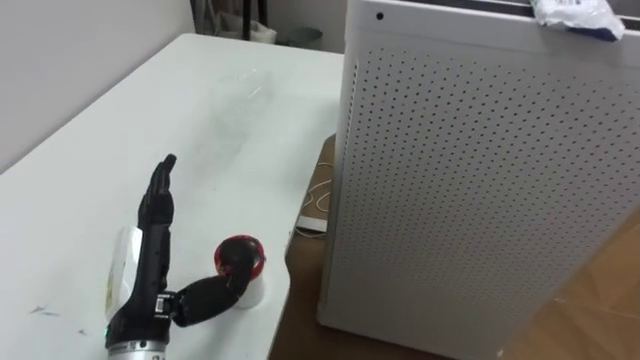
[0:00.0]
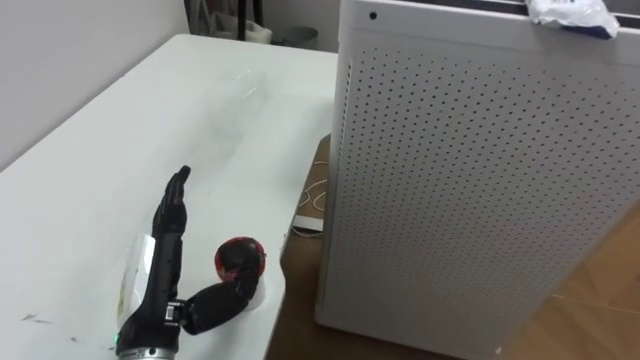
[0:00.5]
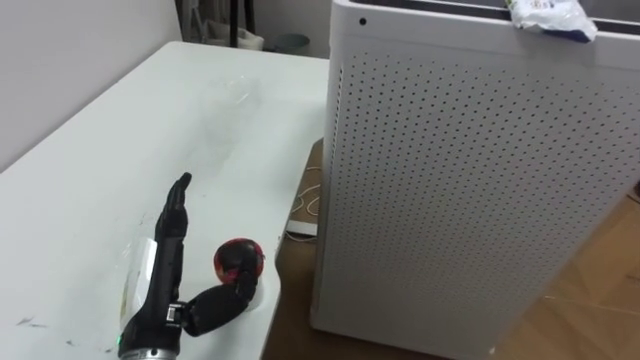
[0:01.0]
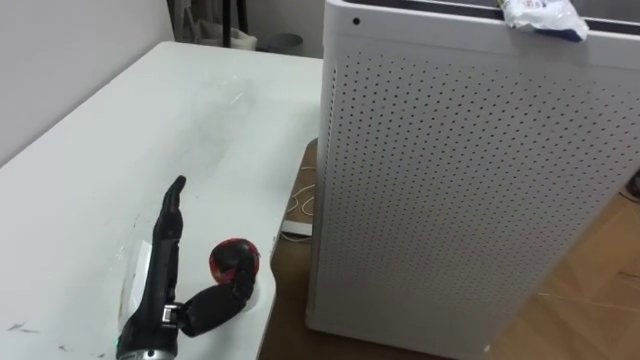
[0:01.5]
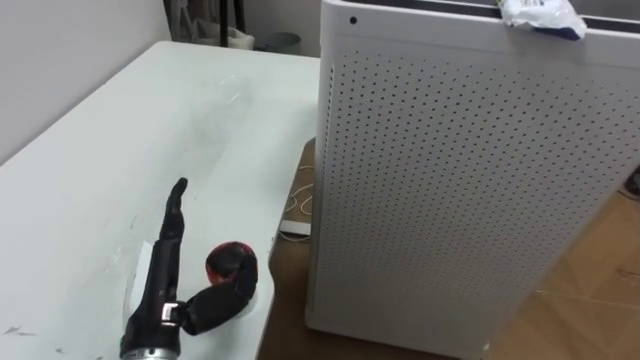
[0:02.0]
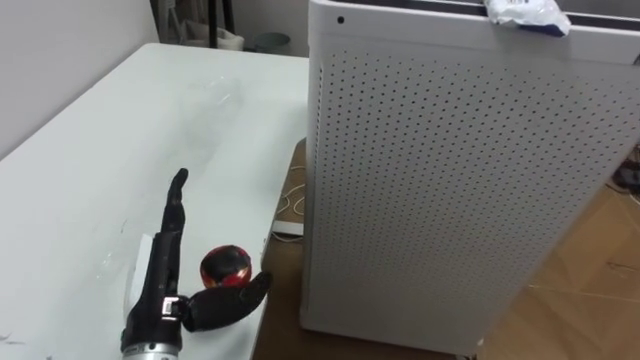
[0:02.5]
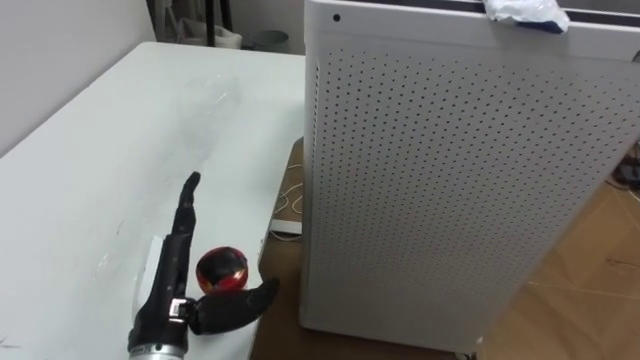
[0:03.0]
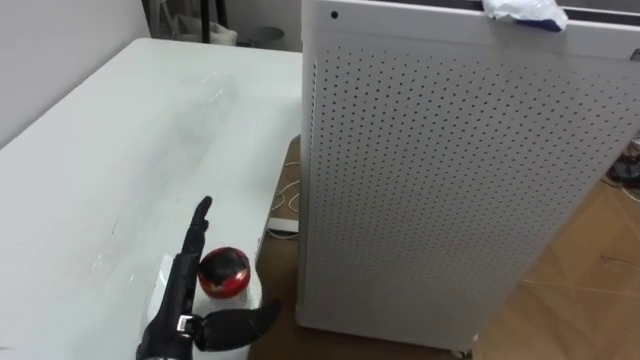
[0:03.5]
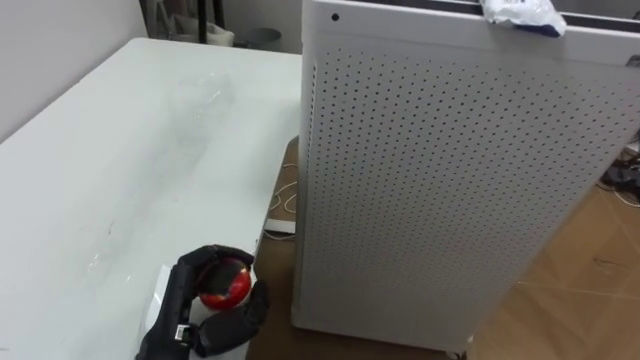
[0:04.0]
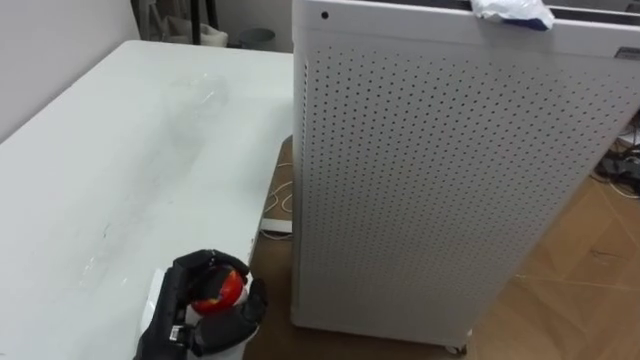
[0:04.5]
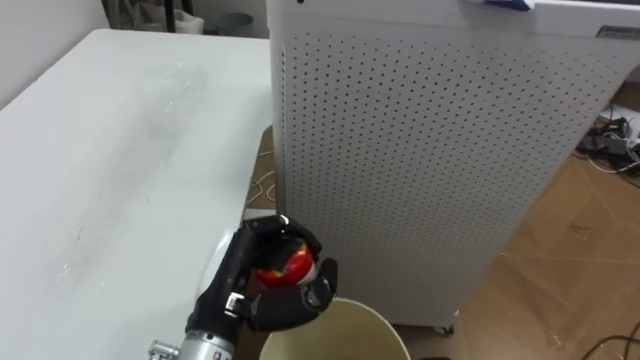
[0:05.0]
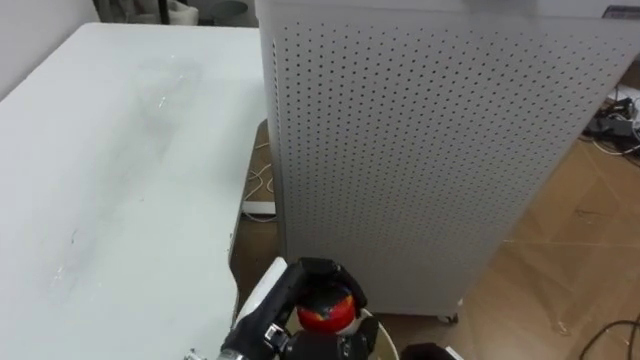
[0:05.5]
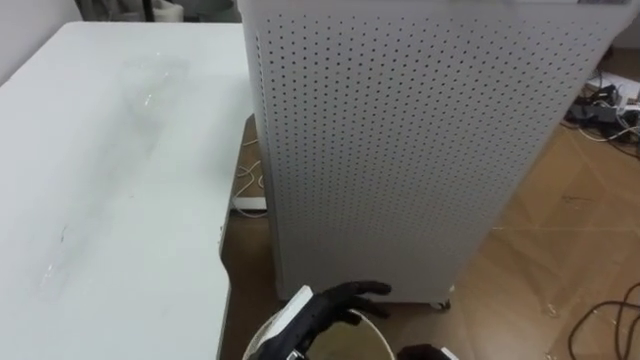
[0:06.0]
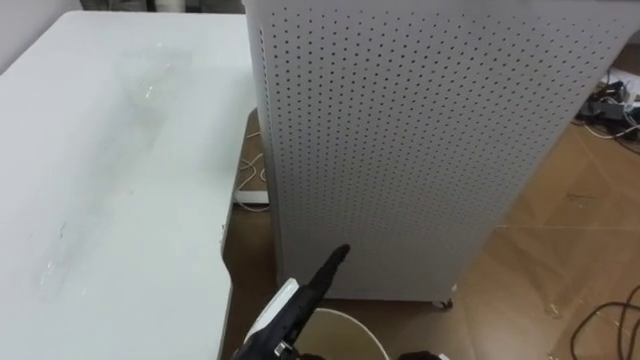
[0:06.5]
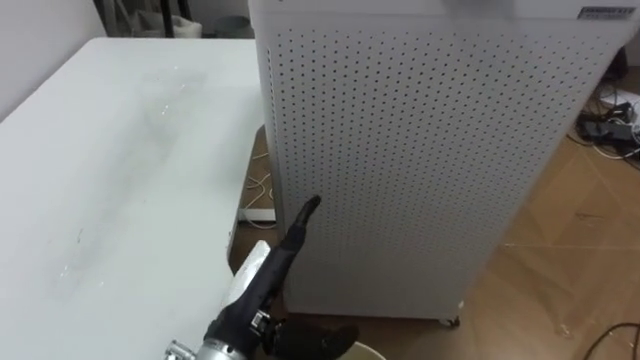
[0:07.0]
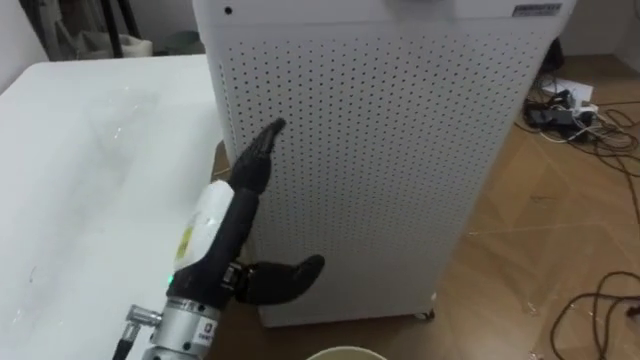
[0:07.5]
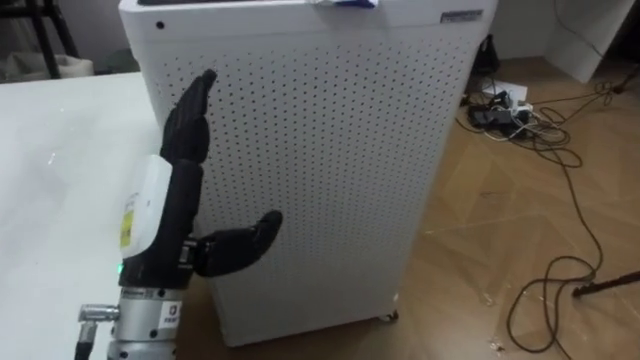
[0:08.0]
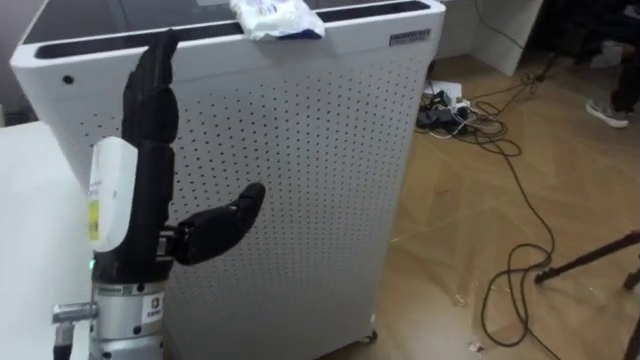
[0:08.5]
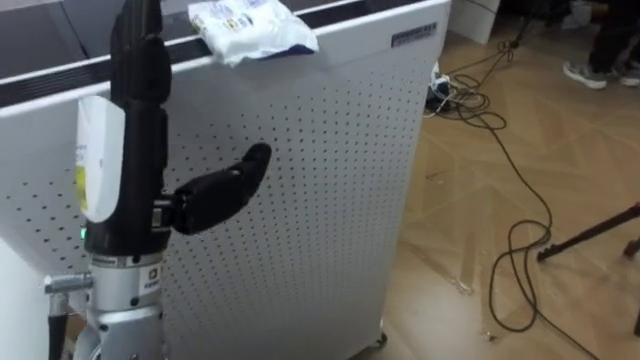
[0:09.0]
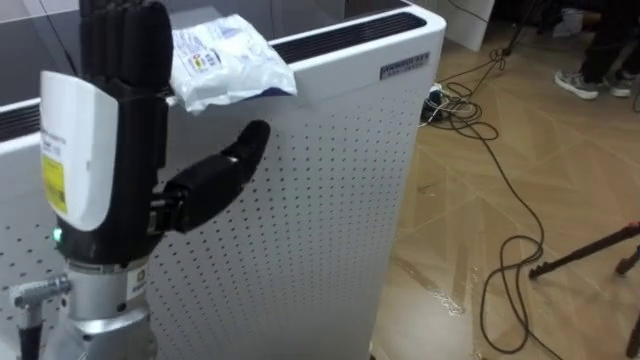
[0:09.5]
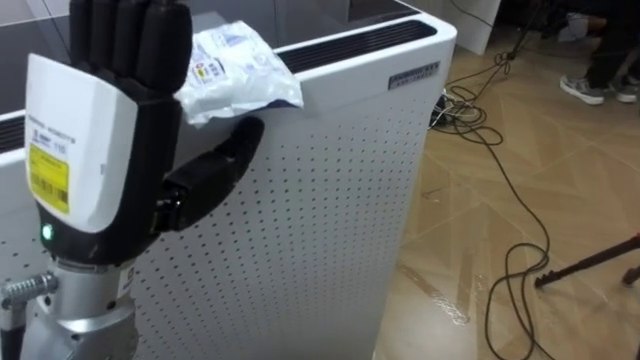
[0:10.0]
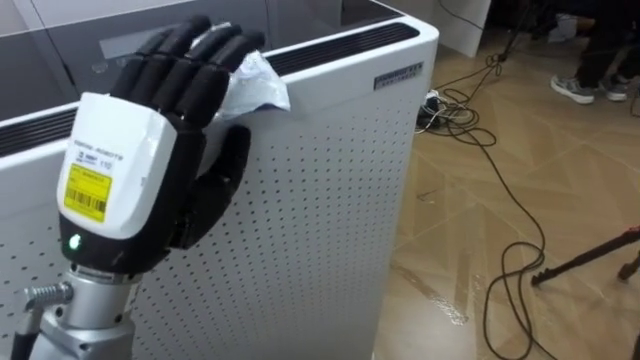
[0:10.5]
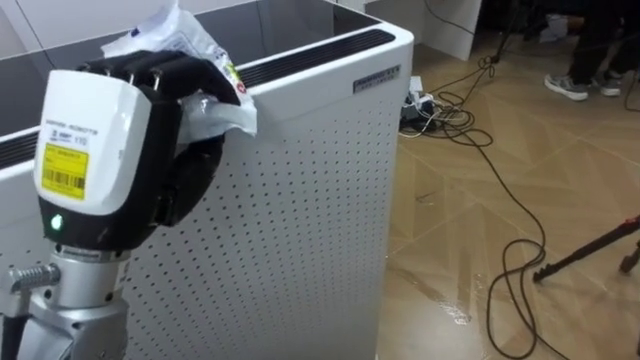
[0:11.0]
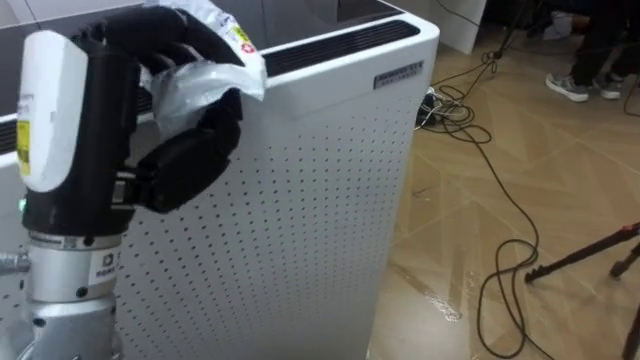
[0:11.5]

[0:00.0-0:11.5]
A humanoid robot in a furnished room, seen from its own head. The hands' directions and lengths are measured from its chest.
Task of the whole recording: Pick up the light blue package, the candy box, and the dark blue package separately, and put them into the trash can held in your right hand.
0:02.0 to 0:04.0: The left hand closes its fingers.
0:04.0 to 0:06.0: The left hand goes about 15 cm to the right.
0:06.0 to 0:07.5: The left hand goes about 15 cm upward and to the left.
0:07.5 to 0:09.5: The robot turns to its right by about 30 degrees. The left hand goes roughly 15 cm upward.
0:09.5 to 0:11.5: The left hand closes.

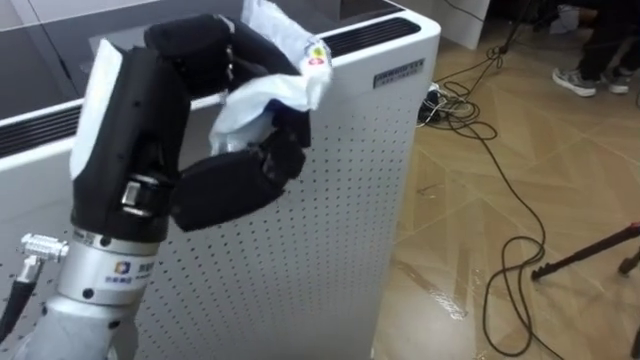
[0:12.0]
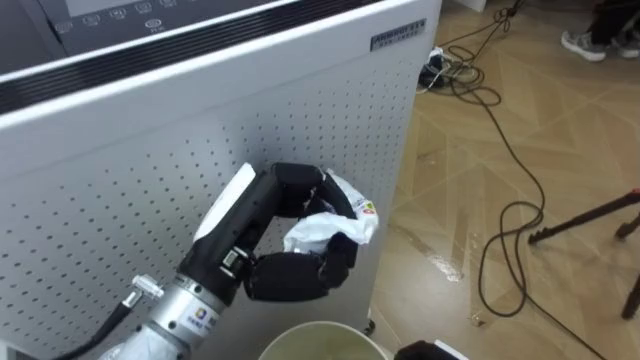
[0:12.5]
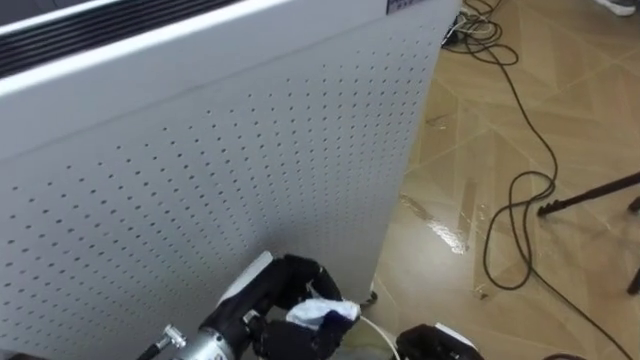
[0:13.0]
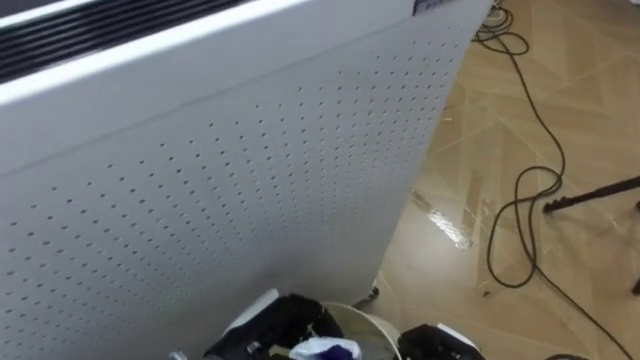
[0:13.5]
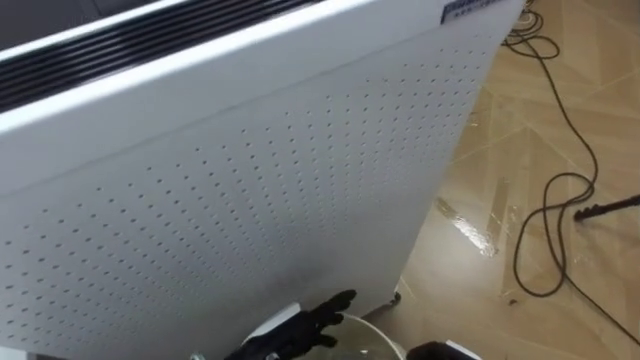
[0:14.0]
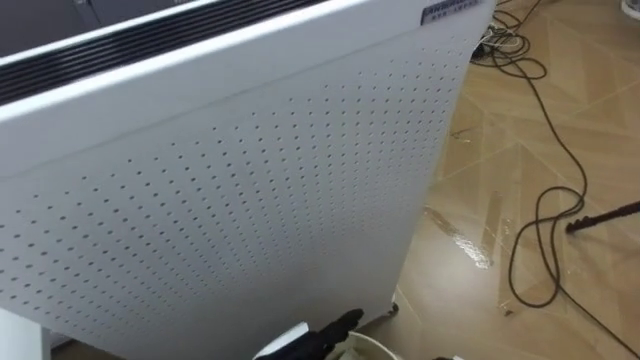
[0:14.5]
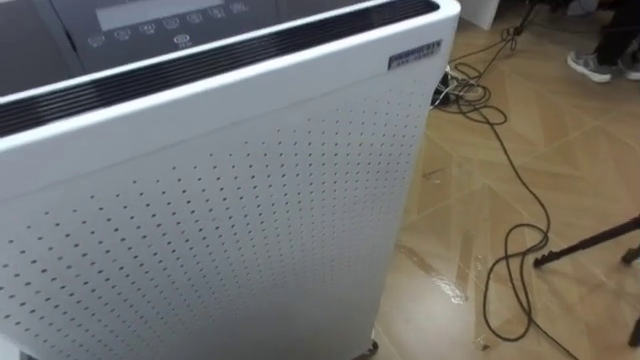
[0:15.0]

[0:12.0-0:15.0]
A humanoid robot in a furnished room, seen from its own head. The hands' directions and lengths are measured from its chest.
Task of the whole recording: Pick up the light blue package, the candy box, and the dark blue package separately, and put them into the trash can held in your right hand.
0:12.0 to 0:13.5: The left hand heads downward, covering approximately 30 cm.

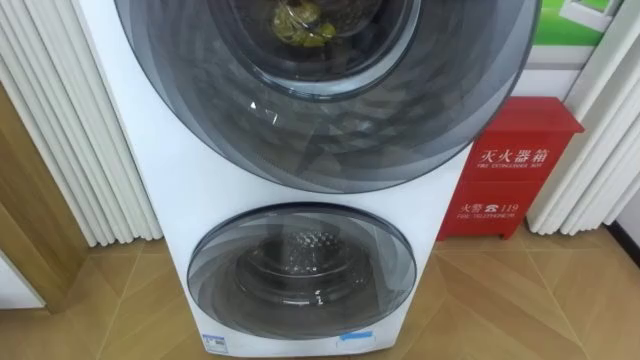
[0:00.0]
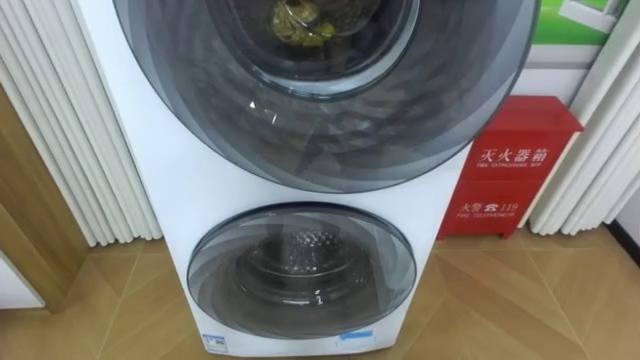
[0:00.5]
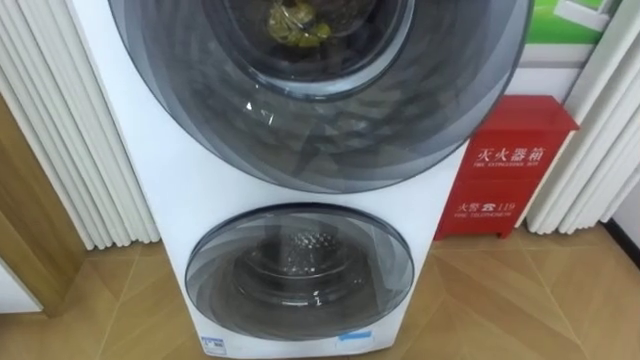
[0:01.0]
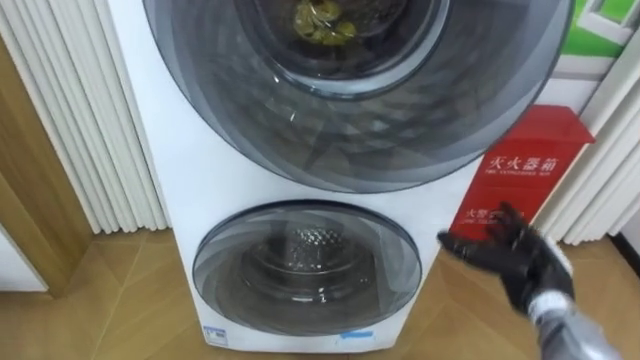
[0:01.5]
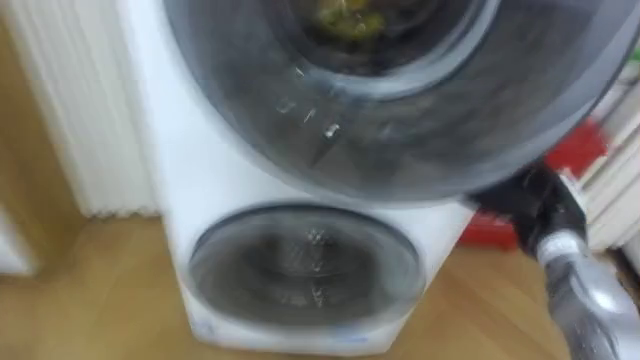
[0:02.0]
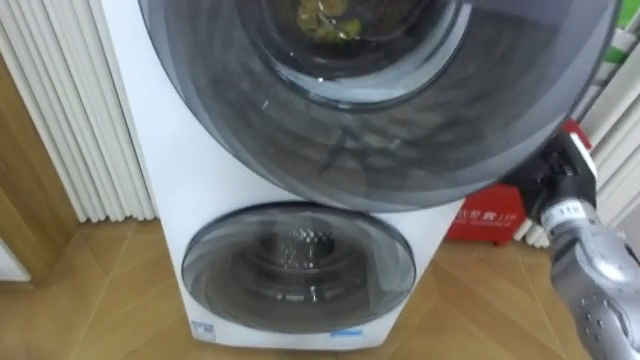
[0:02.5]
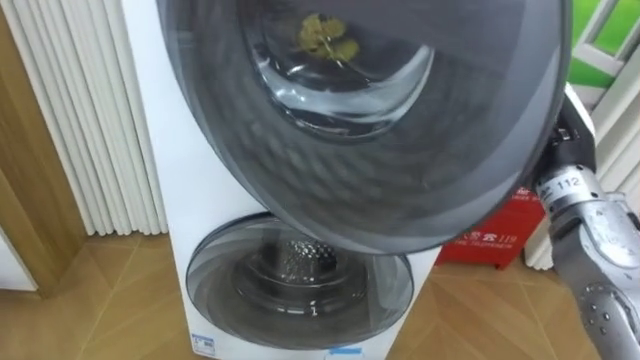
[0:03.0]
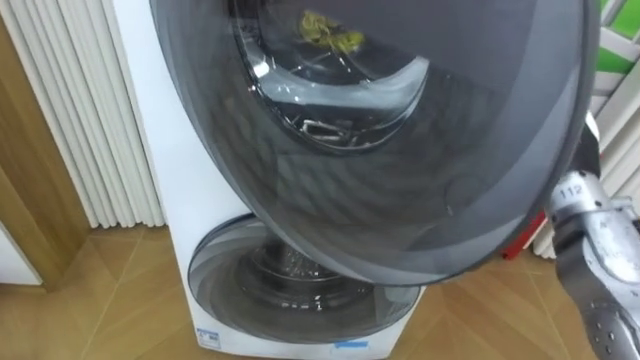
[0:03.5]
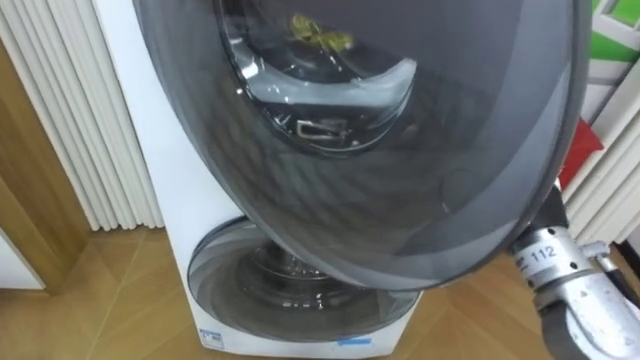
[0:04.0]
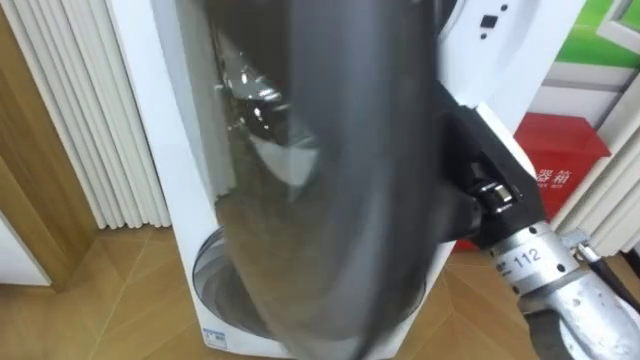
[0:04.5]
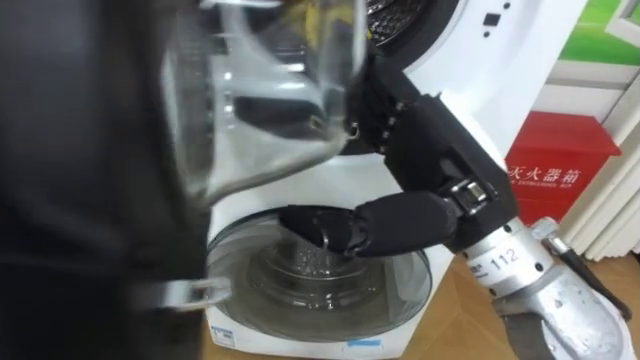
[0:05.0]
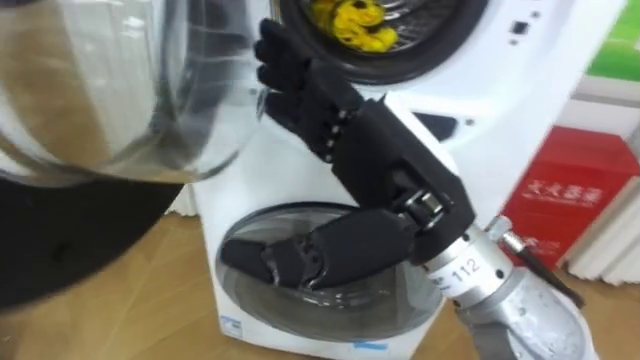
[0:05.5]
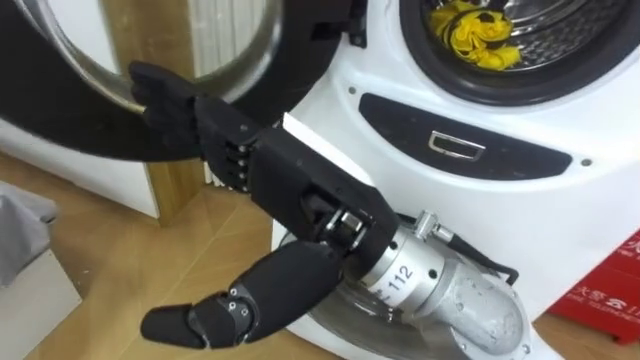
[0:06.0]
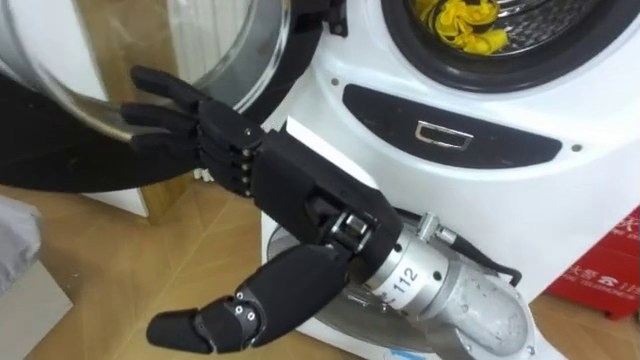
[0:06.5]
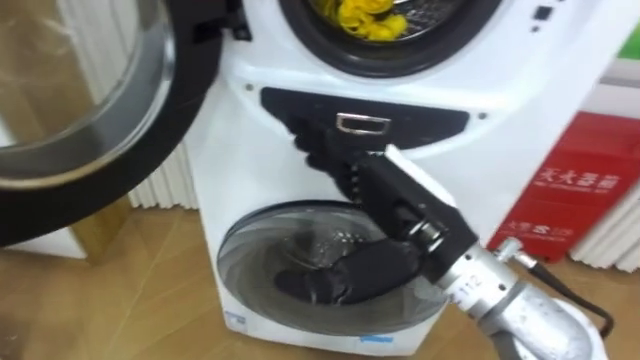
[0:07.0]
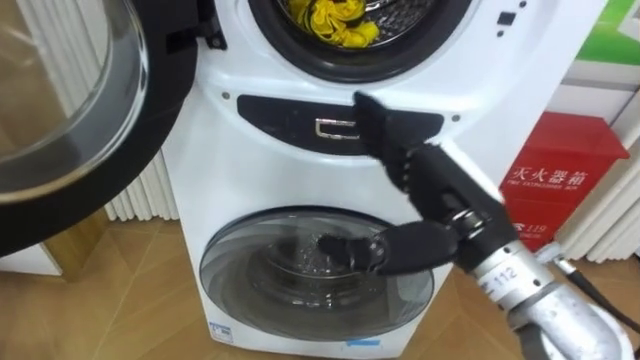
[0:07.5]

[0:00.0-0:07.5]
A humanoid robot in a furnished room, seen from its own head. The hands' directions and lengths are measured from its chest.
Task of the whole recording: Open the washing machine door, take out the yellow clothes, place them in the box on the right, and close the washing machine door.
0:02.0 to 0:04.0: The right hand is displaced upward, to the left and backward by roughly 15 cm.
0:04.0 to 0:05.5: The right hand moves to the left, upward and backward, about 15 cm.
0:05.5 to 0:07.5: The right hand goes some 10 cm to the right and downward.
